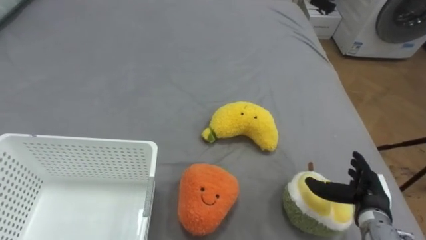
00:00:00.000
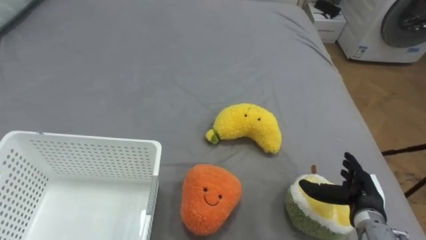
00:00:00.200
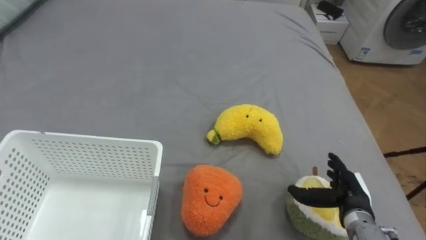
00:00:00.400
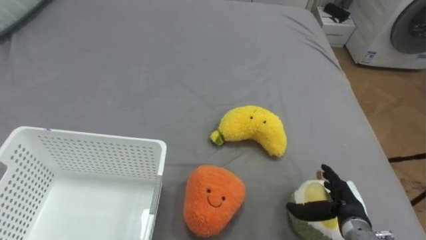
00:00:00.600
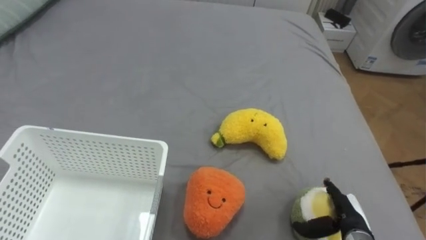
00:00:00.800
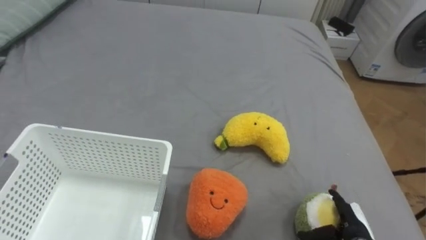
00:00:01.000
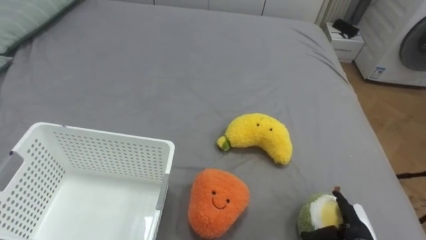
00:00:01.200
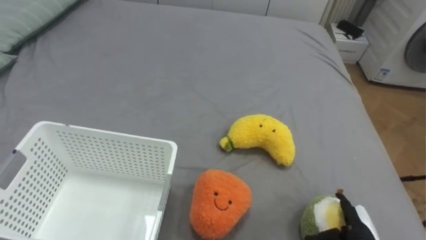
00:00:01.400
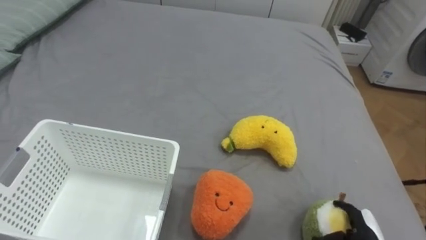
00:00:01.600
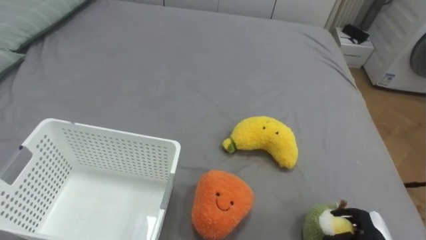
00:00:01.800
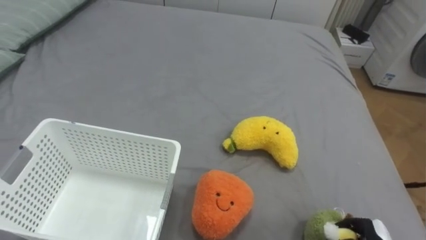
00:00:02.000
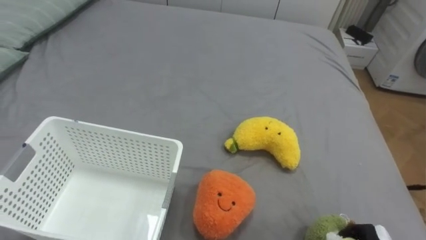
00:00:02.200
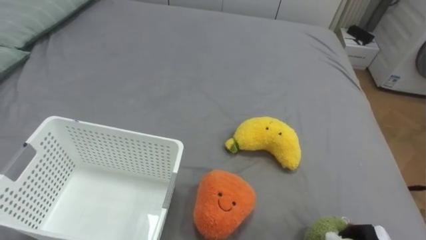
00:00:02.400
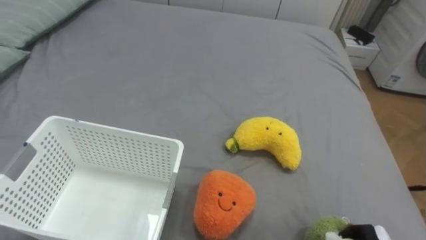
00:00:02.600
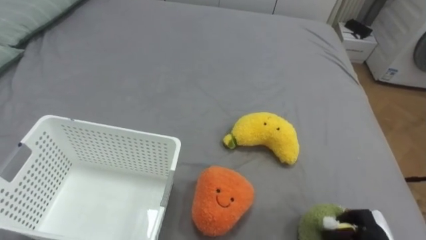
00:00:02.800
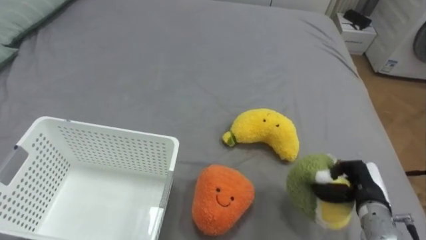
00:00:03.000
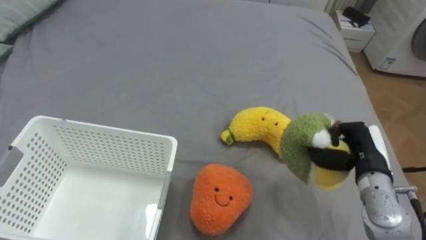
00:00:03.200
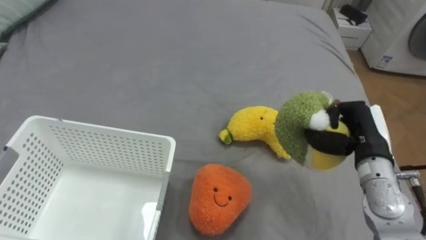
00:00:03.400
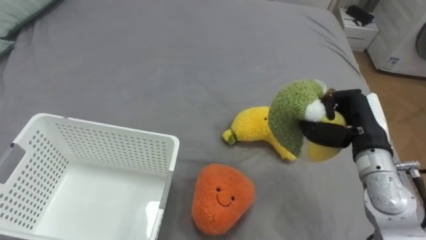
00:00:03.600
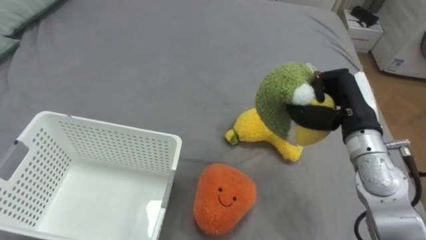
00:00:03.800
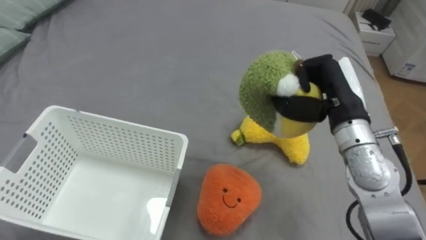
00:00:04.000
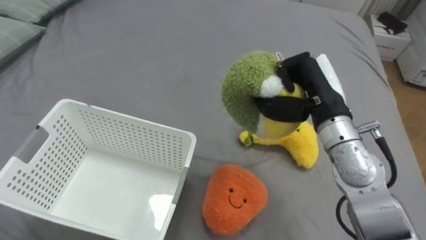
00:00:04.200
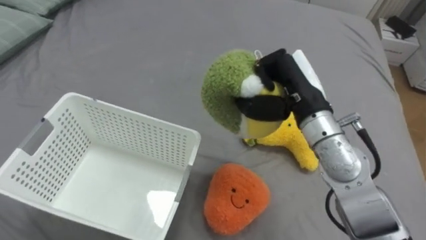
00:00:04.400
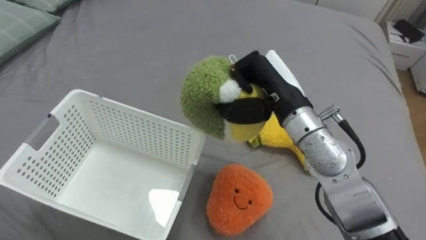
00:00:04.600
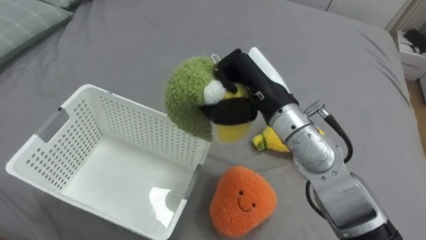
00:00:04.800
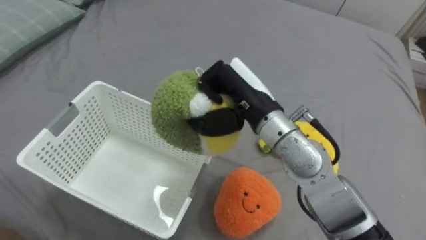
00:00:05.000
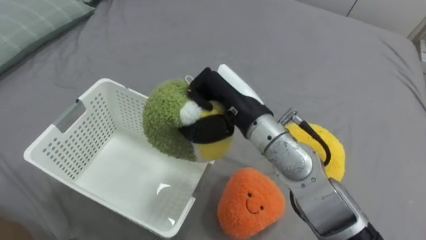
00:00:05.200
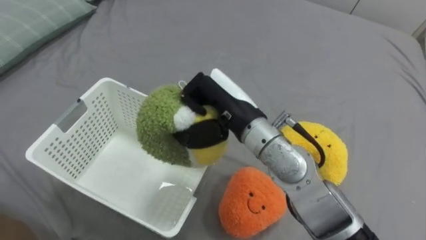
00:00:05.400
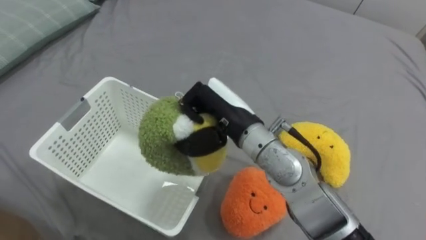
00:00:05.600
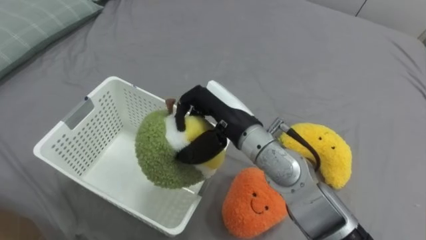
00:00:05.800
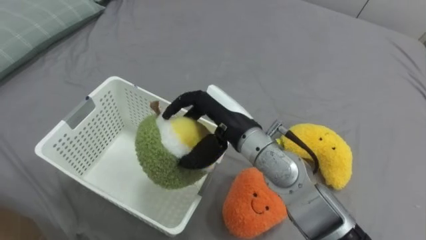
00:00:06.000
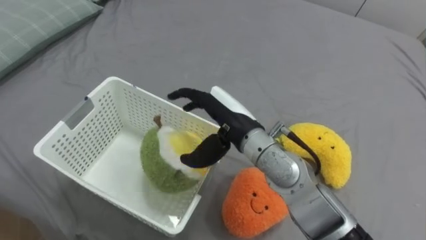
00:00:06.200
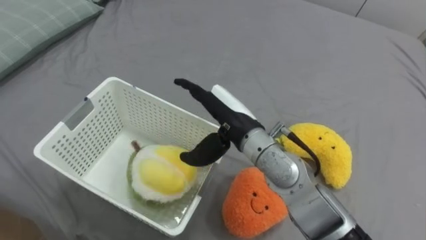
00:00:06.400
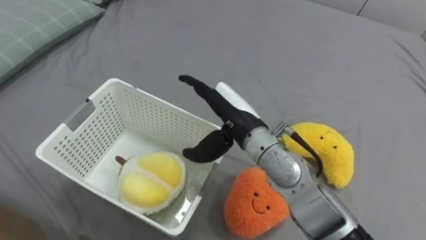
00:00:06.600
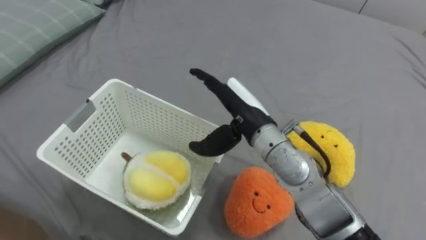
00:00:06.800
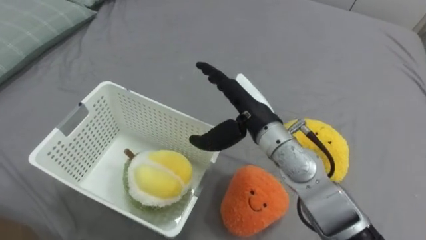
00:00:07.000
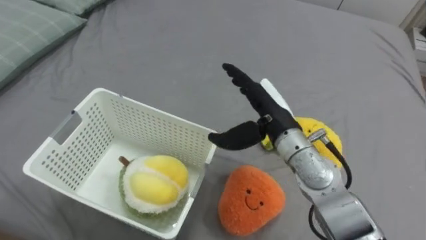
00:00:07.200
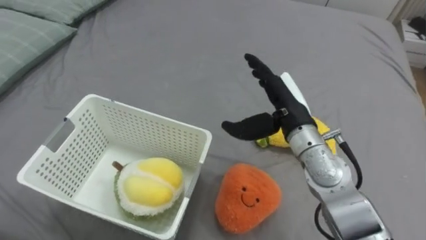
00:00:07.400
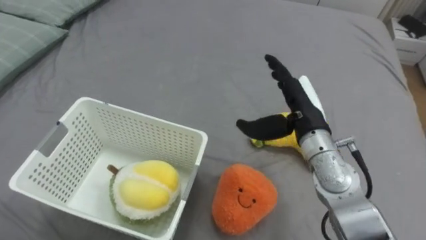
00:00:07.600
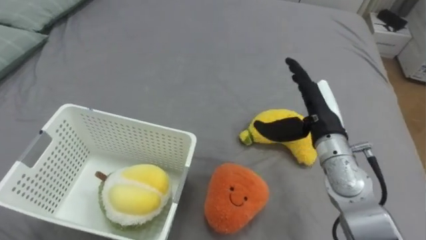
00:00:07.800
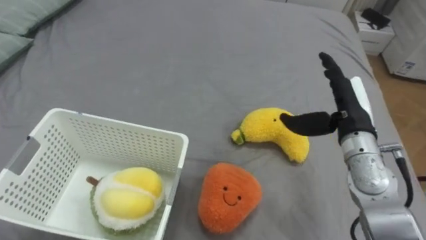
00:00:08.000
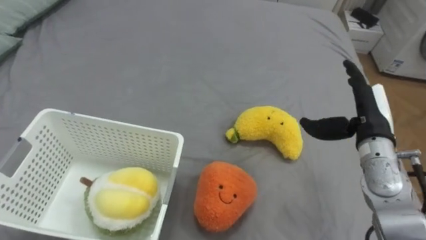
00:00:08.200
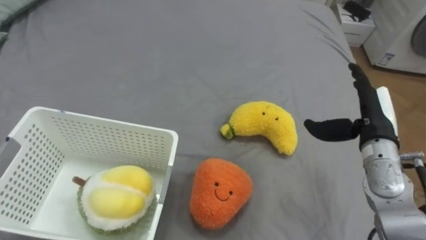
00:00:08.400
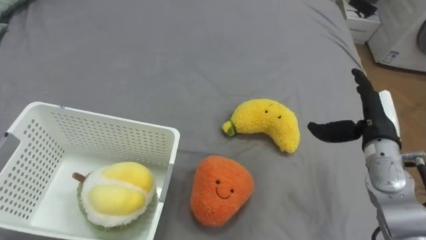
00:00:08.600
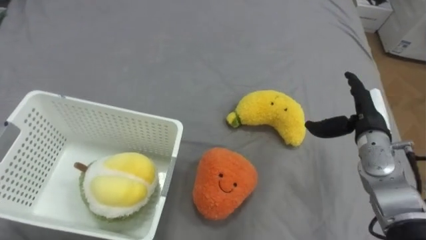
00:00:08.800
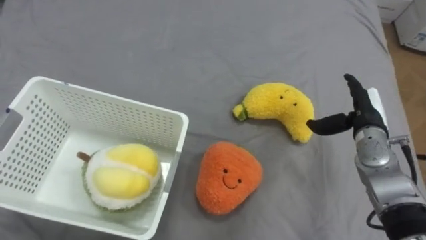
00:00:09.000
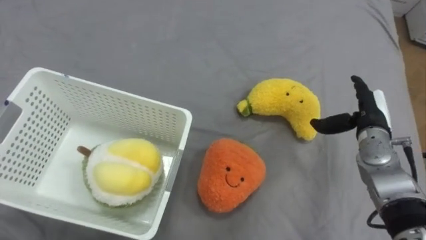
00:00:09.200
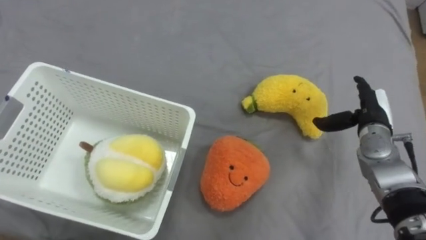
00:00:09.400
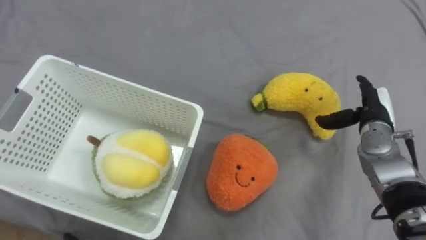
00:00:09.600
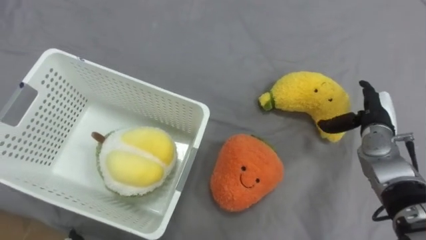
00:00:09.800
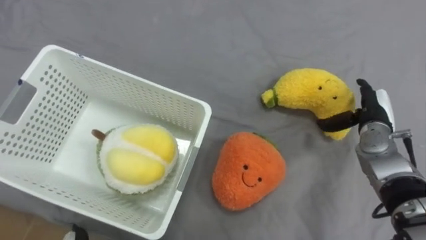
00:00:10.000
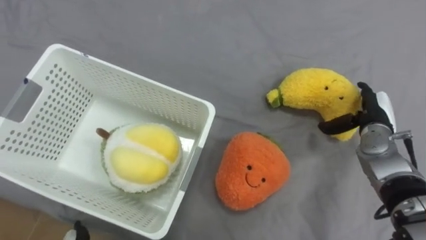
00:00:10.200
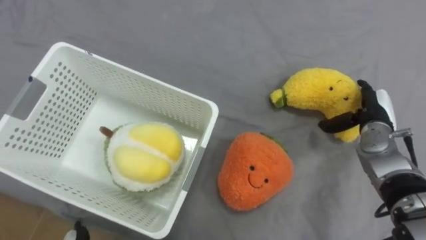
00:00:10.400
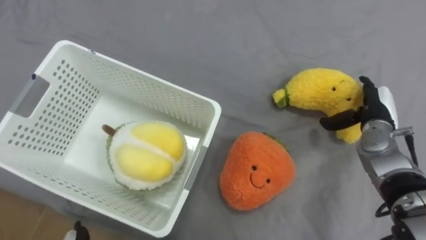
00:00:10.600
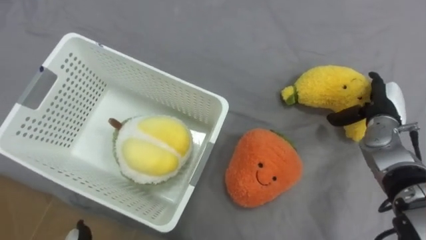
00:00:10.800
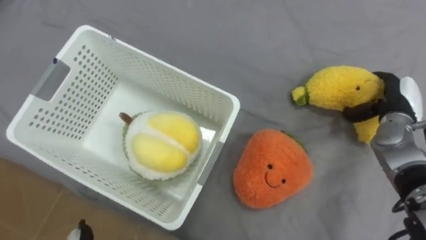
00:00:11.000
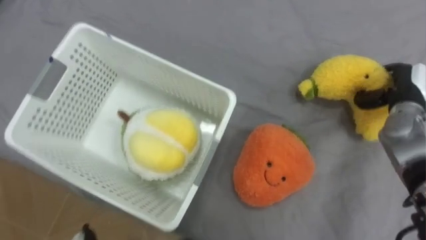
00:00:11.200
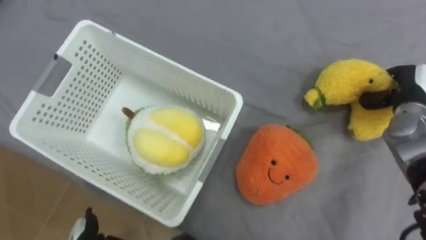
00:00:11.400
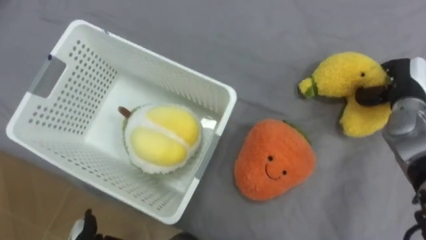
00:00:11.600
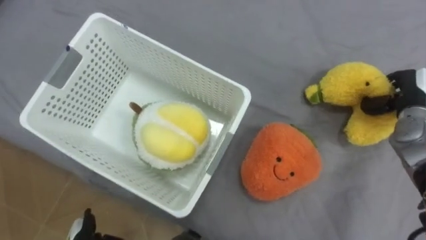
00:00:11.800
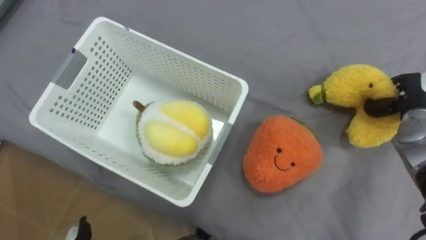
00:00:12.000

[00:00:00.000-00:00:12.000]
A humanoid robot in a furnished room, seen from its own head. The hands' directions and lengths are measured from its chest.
Task of the whole recording: Put the toys on the bed into the basket on the left.
00:00:00.000 to 00:00:01.600: The right hand goes about 10 cm downward and backward.
00:00:03.000 to 00:00:04.400: The right hand goes approximately 30 cm upward, to the left and forward.
00:00:04.400 to 00:00:06.000: The right hand shifts some 10 cm to the left, and opens.
00:00:06.000 to 00:00:07.600: The right hand goes roughly 15 cm to the right, and opens its fingers.
00:00:07.600 to 00:00:09.000: The right hand travels to the right and downward by some 15 cm.
00:00:10.400 to 00:00:12.000: The right hand is displaced to the right by approximately 5 cm, and closes up.

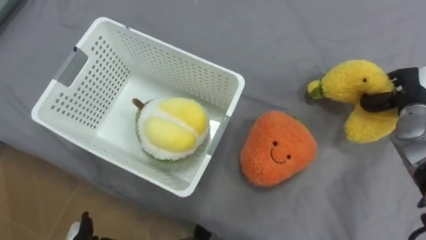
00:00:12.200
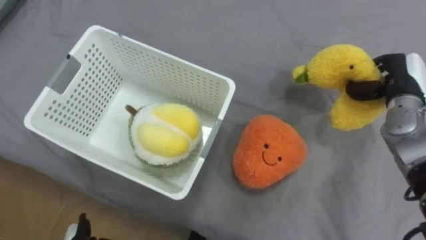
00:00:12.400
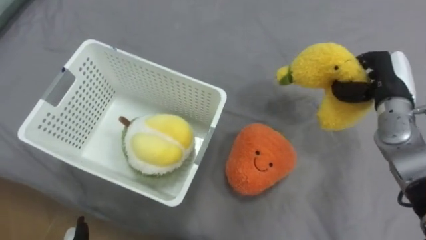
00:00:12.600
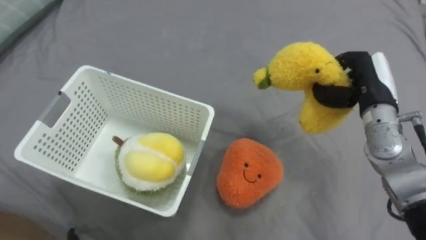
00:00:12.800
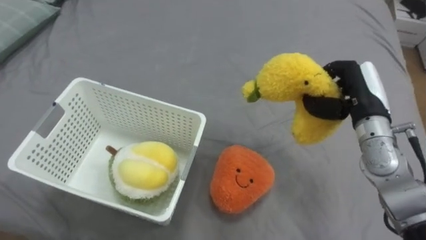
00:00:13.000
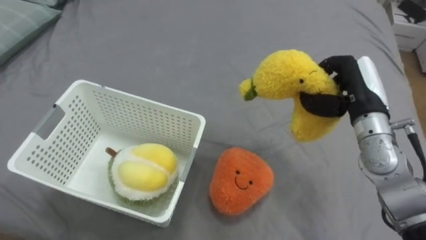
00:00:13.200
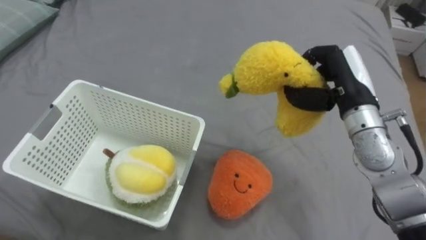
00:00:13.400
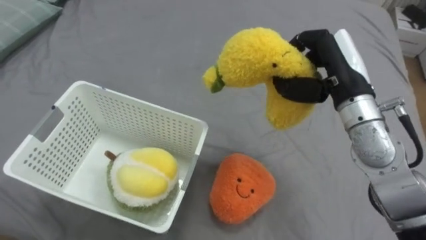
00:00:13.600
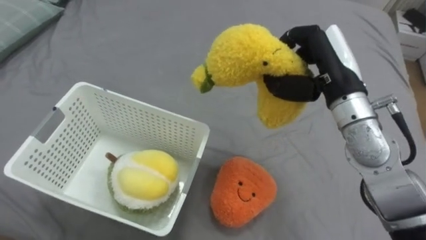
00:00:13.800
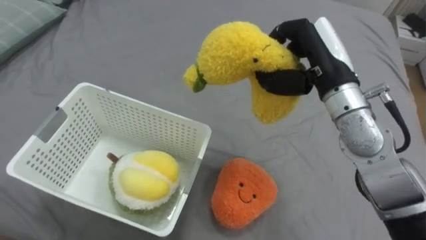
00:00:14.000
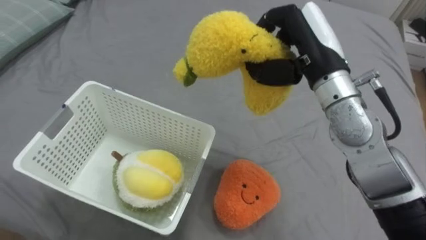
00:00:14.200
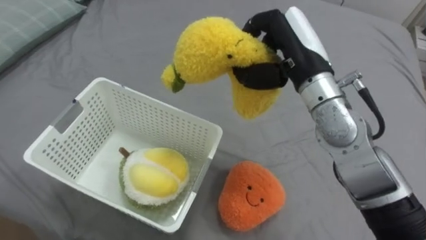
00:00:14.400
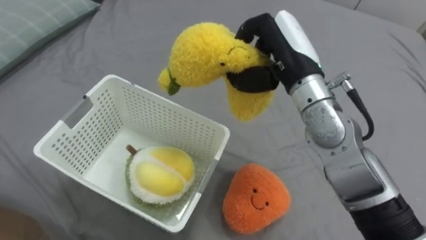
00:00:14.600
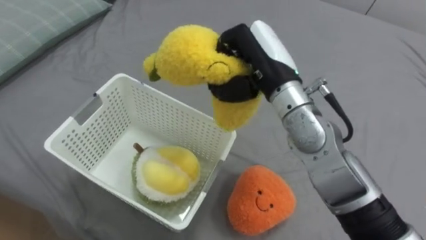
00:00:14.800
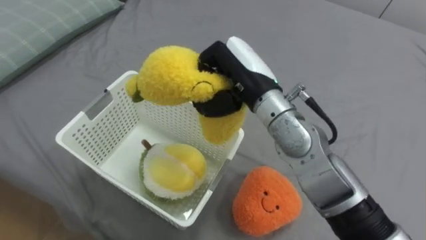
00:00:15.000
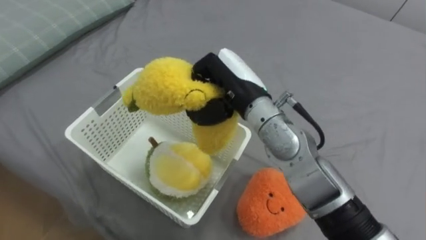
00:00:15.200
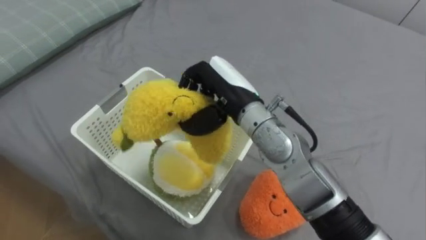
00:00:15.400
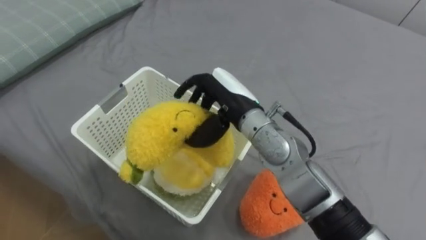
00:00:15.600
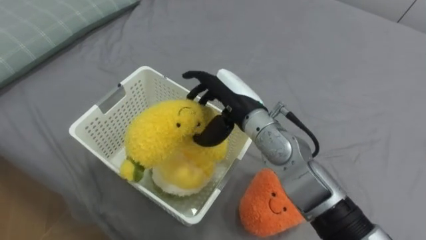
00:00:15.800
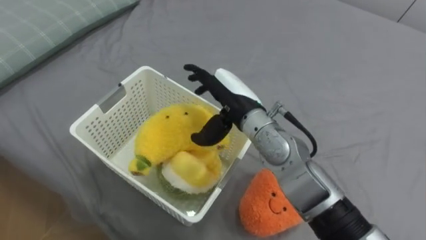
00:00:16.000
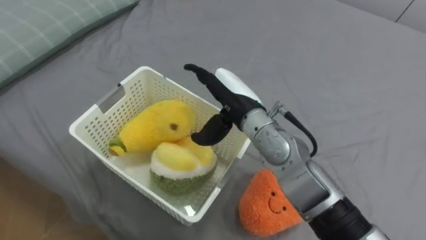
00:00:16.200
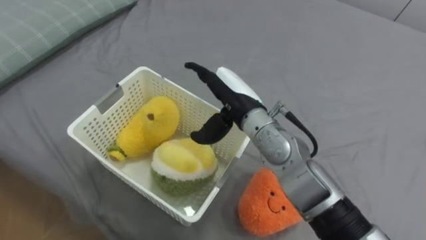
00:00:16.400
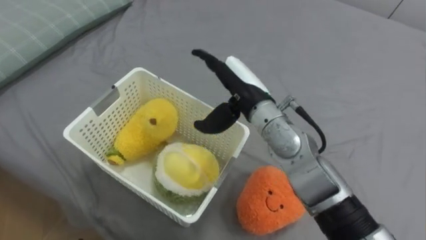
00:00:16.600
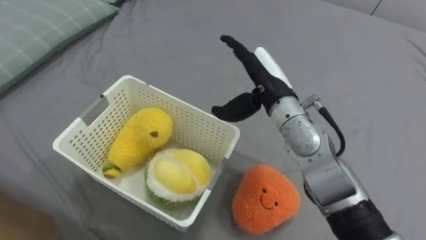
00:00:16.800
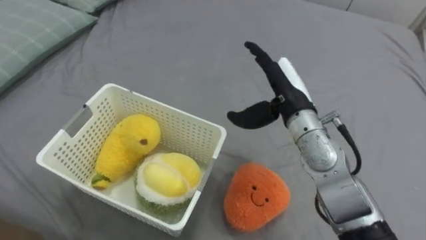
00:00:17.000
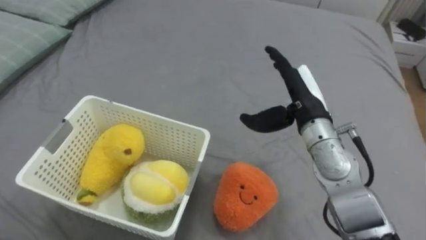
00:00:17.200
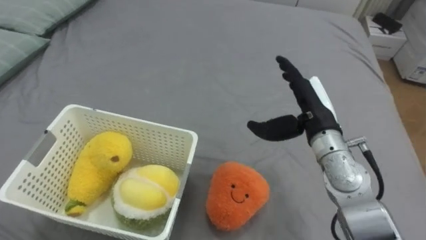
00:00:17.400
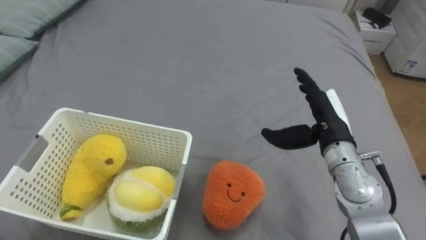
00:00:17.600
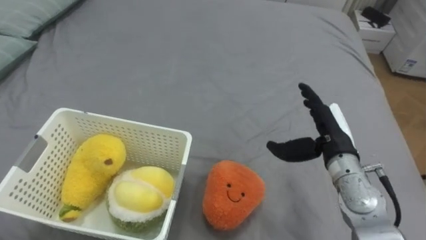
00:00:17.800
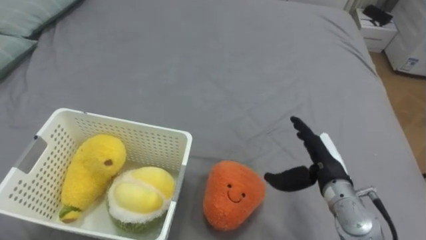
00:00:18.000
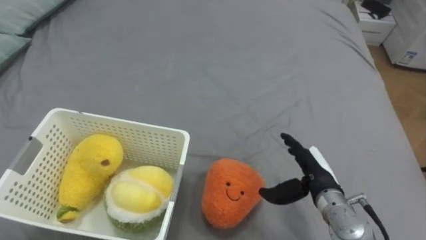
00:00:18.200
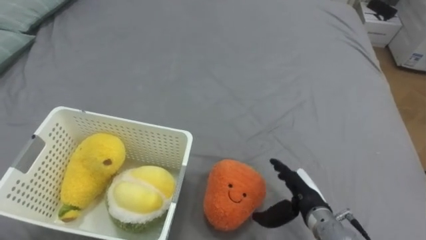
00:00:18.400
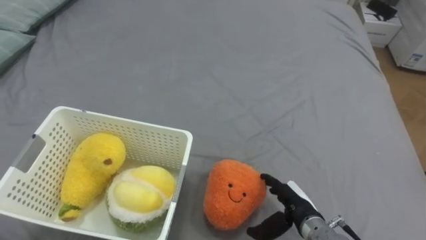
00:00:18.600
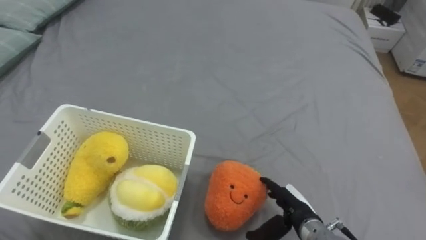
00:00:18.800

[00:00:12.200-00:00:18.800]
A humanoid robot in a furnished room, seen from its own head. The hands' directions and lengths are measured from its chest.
Task of the whole recording: Put the toys on the bed into the basket on the left.
00:00:12.200 to 00:00:13.800: The right hand is displaced to the left and upward by approximately 20 cm.
00:00:13.800 to 00:00:15.400: The right hand moves to the left, some 15 cm.
00:00:15.400 to 00:00:17.200: The right hand travels to the right by approximately 15 cm, and opens.
00:00:17.200 to 00:00:18.800: The right hand moves downward and backward, about 25 cm.
